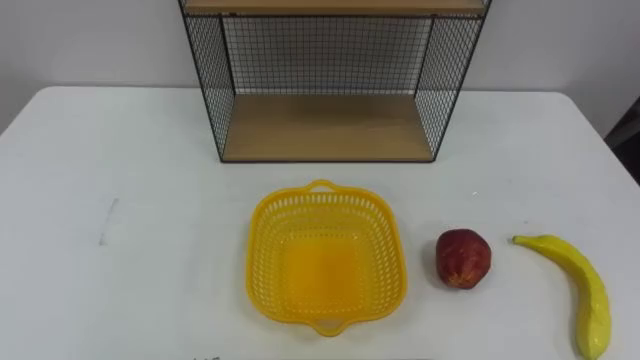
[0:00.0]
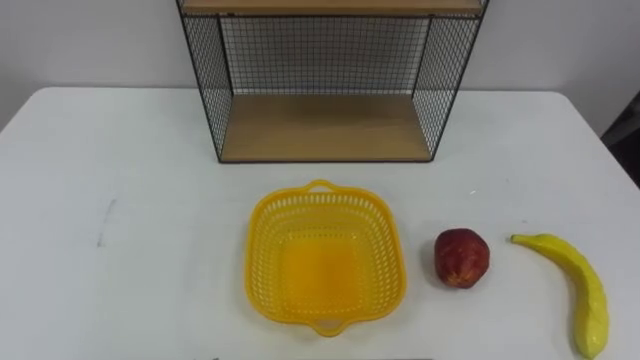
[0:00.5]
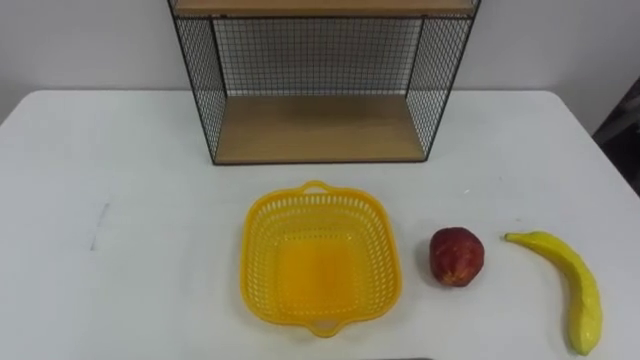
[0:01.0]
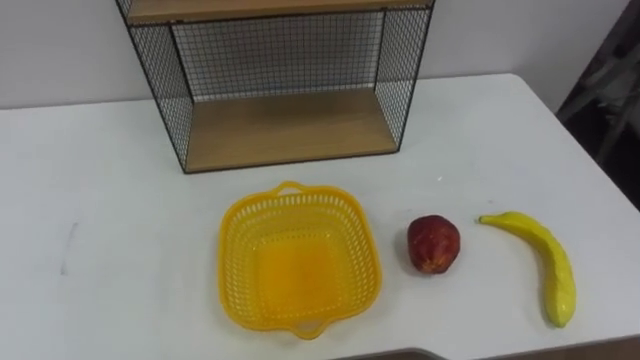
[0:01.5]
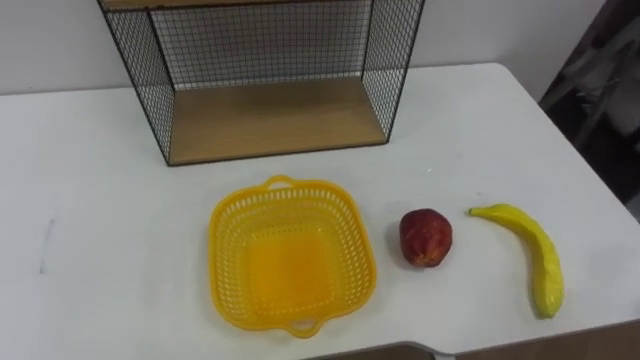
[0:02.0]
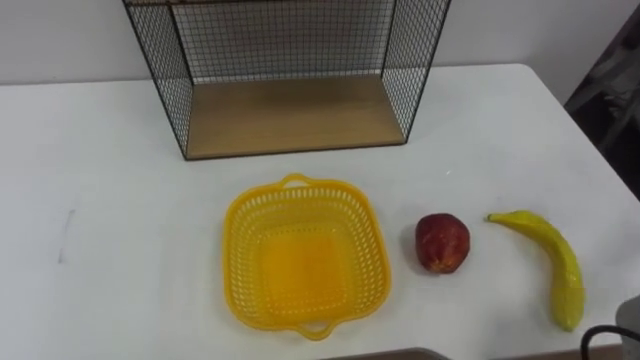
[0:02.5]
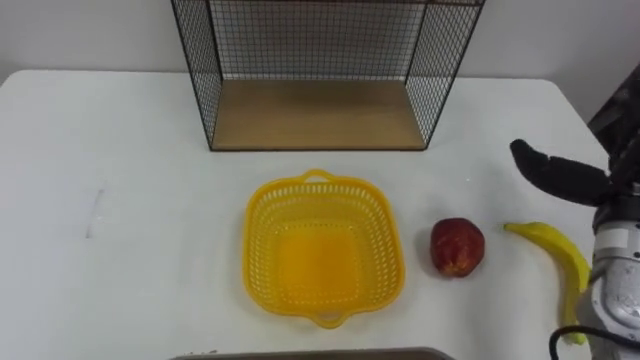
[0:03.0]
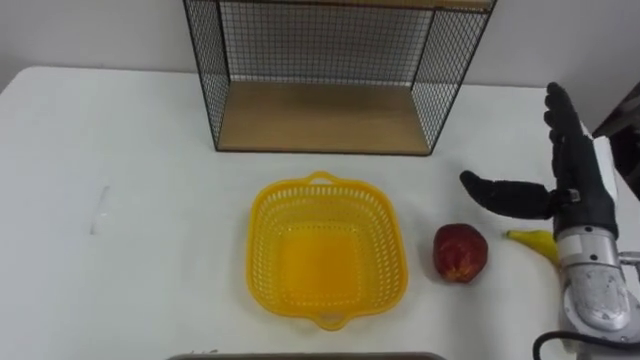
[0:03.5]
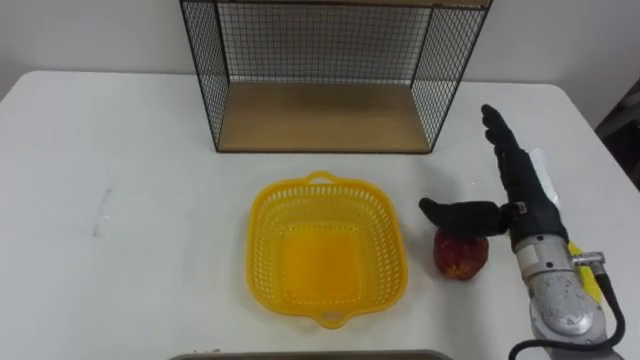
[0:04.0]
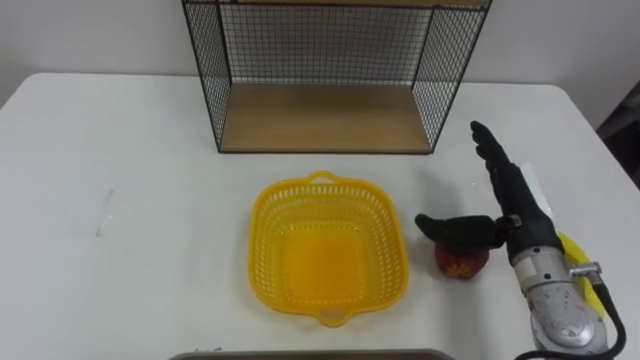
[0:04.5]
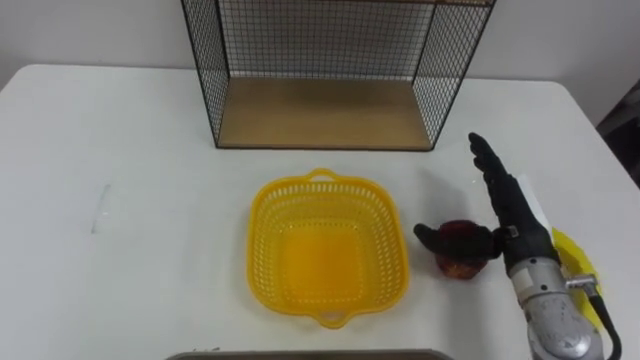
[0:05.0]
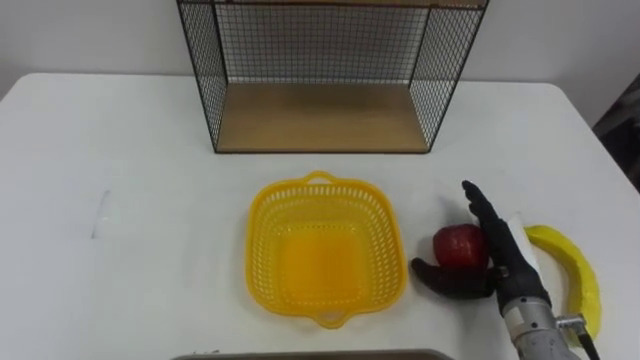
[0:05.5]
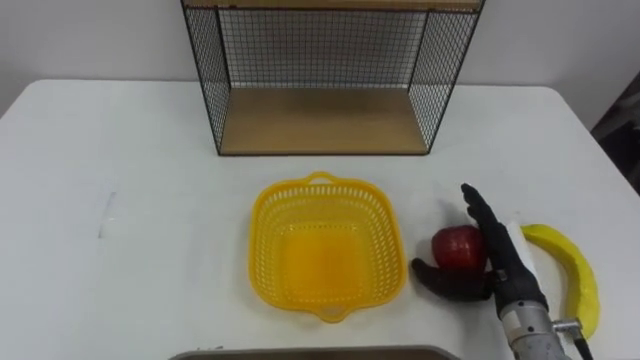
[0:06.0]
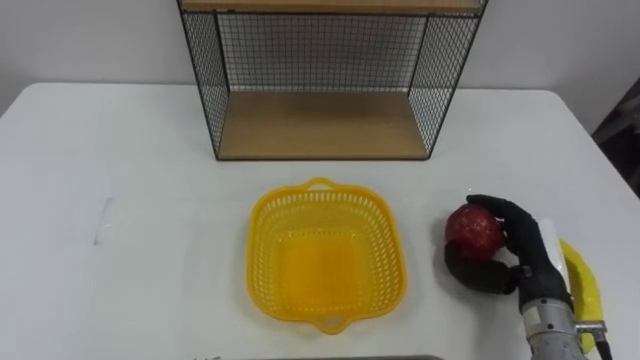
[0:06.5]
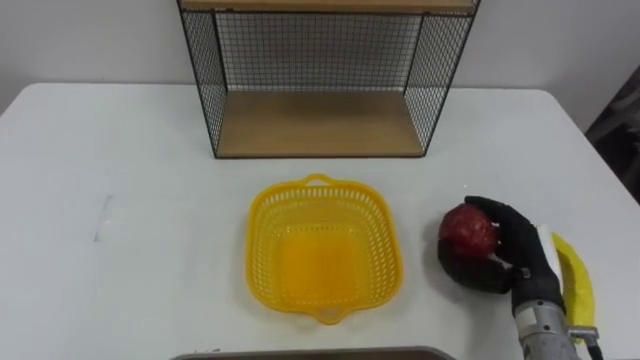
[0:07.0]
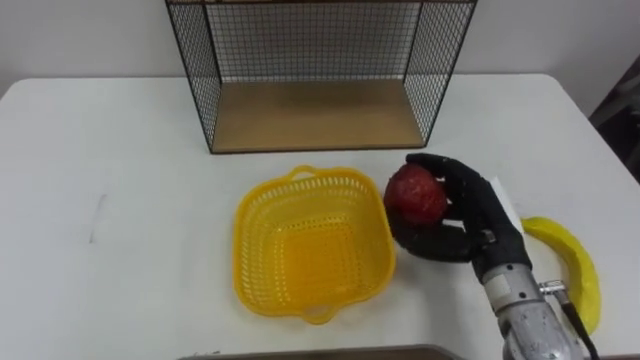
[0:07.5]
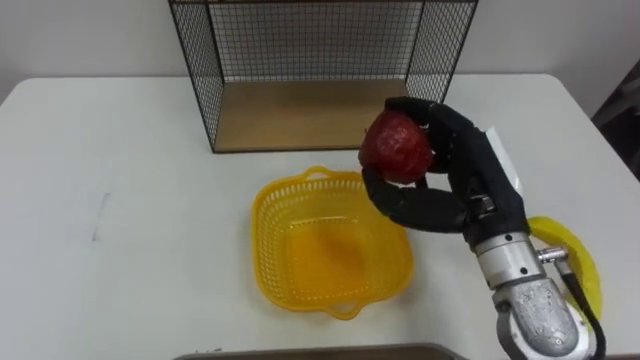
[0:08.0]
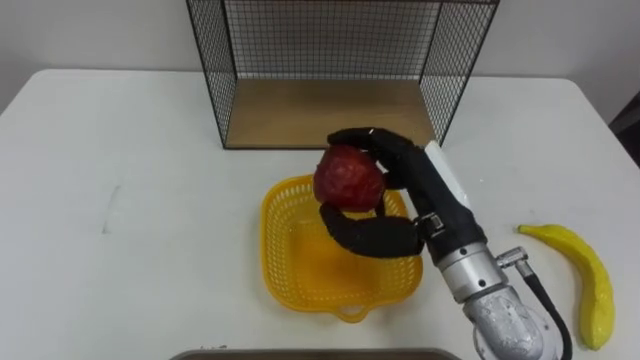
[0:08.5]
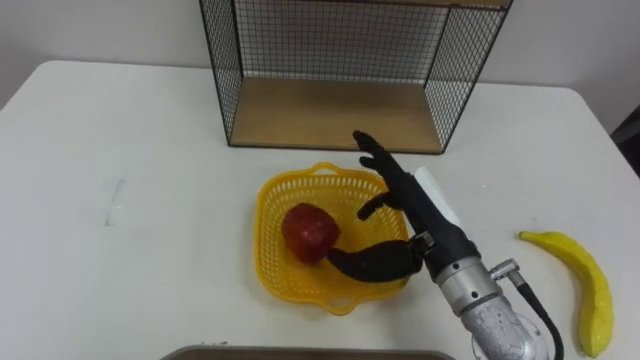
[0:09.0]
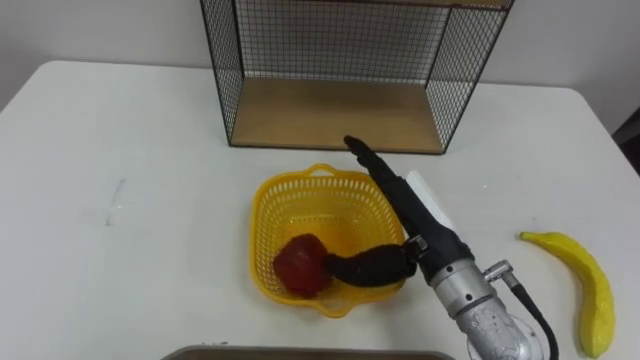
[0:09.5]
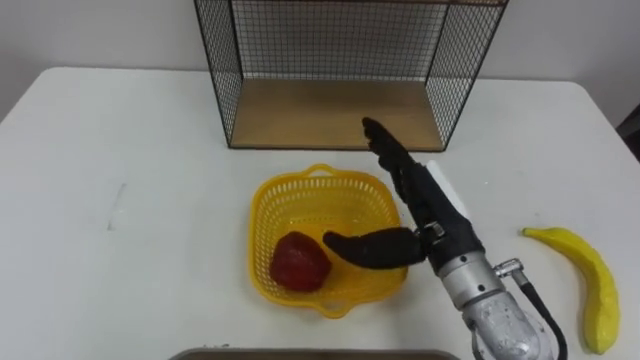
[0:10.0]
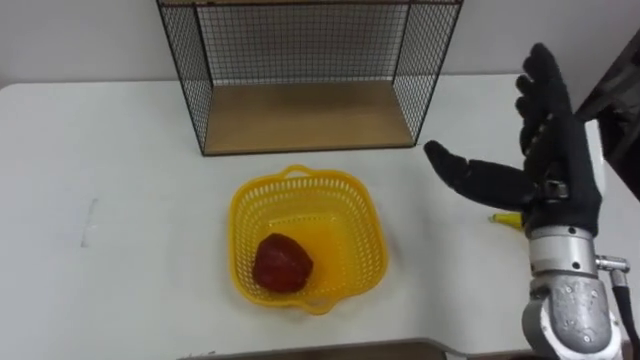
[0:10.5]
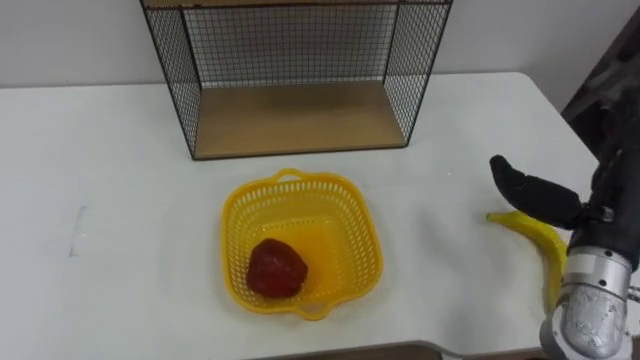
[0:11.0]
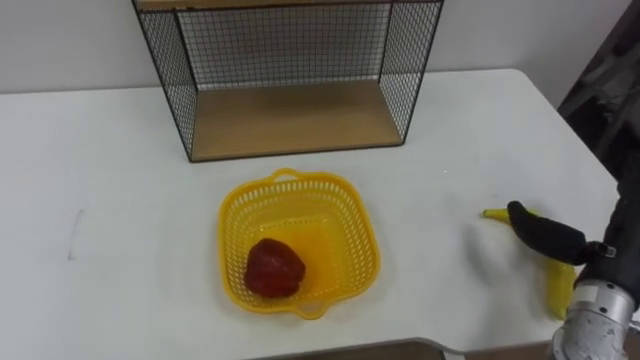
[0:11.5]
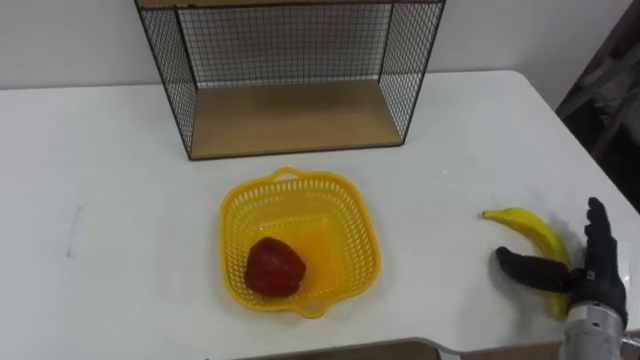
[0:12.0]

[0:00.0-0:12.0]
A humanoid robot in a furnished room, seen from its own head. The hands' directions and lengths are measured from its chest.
Task of the whole recording: Put the fruit on the table into the basket, then place the basket on the shelf.
0:04.0 to 0:06.0: The right hand goes approximately 10 cm downward and backward.
0:06.0 to 0:08.0: The right hand travels upward and to the left by about 15 cm, and closes up.
0:08.0 to 0:10.0: The right hand changes place by about 5 cm, and opens its fingers.
0:10.0 to 0:12.0: The right hand goes some 25 cm to the right and downward.

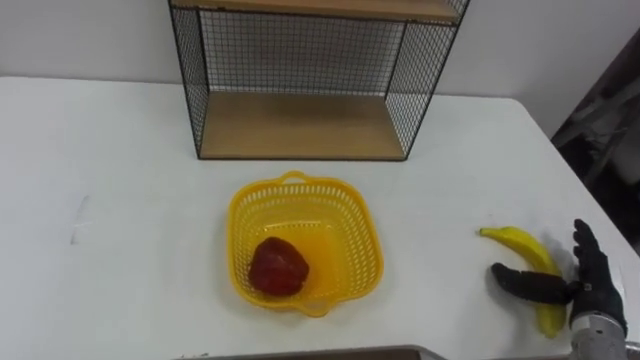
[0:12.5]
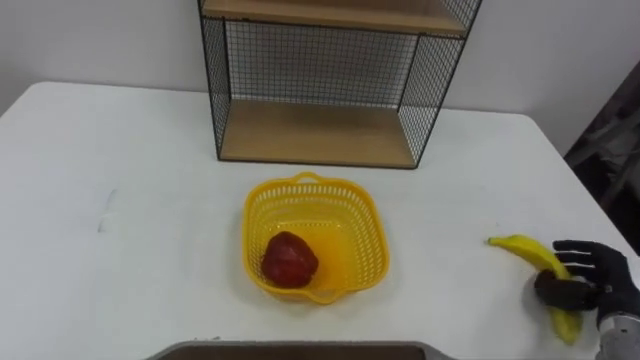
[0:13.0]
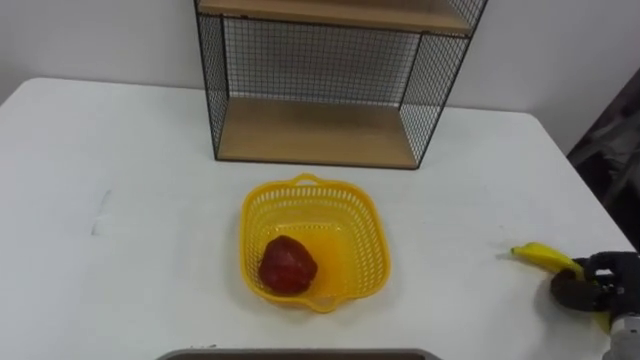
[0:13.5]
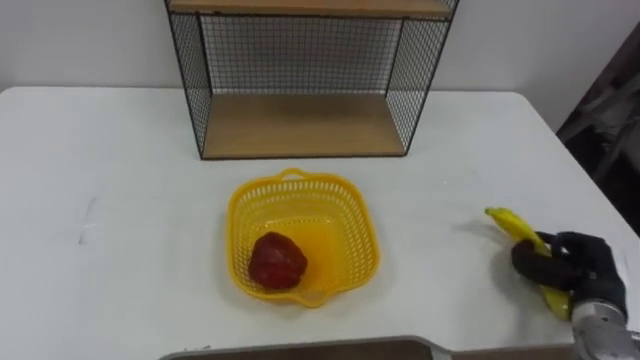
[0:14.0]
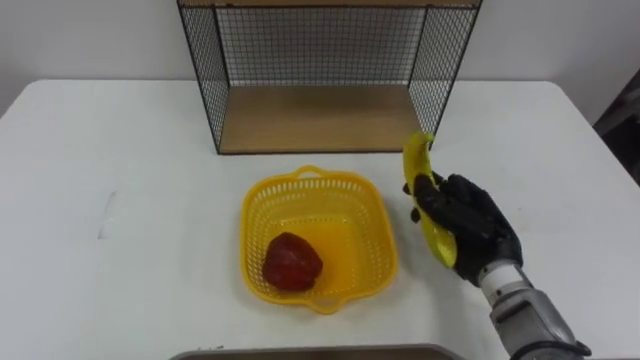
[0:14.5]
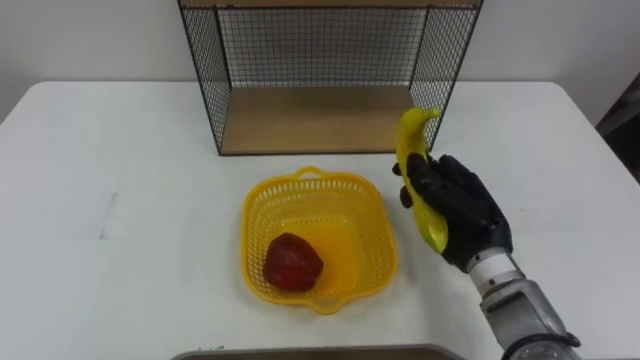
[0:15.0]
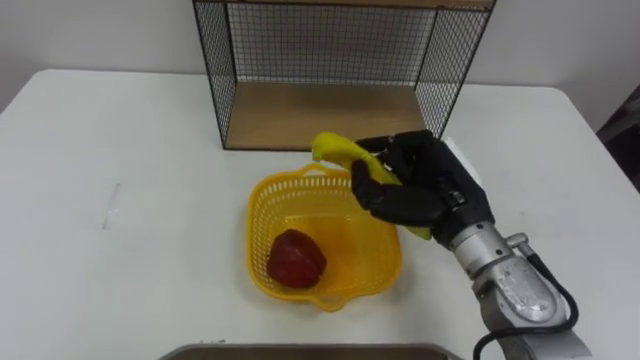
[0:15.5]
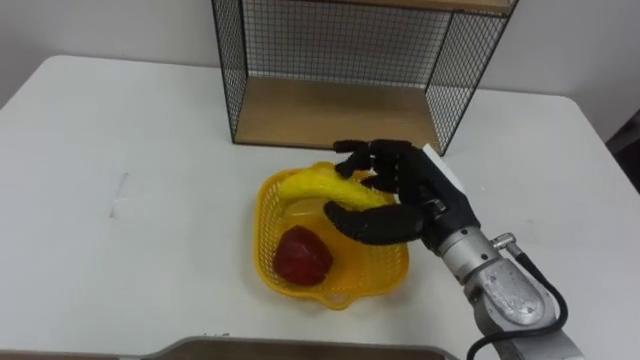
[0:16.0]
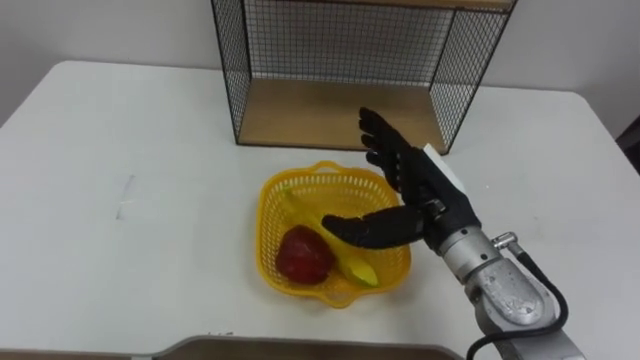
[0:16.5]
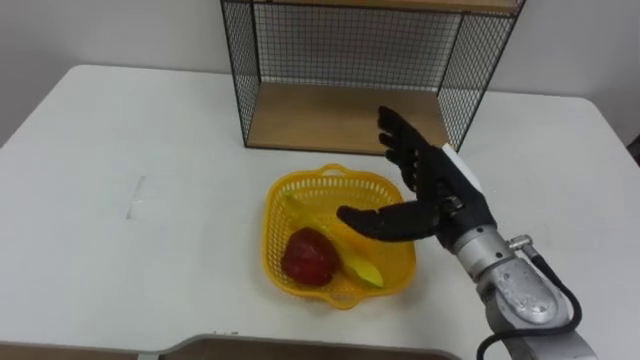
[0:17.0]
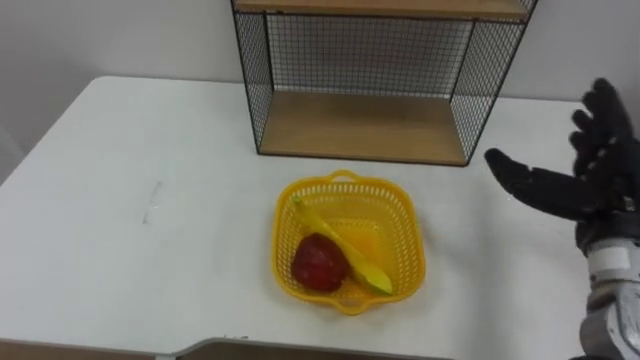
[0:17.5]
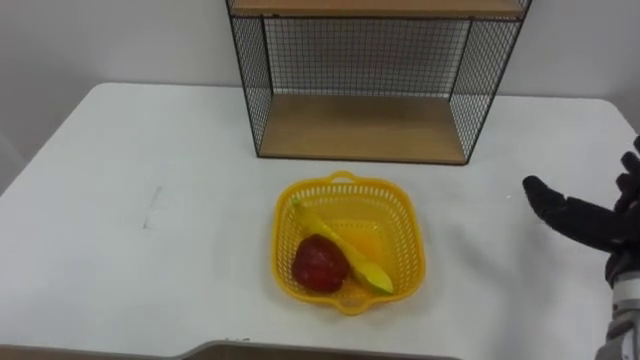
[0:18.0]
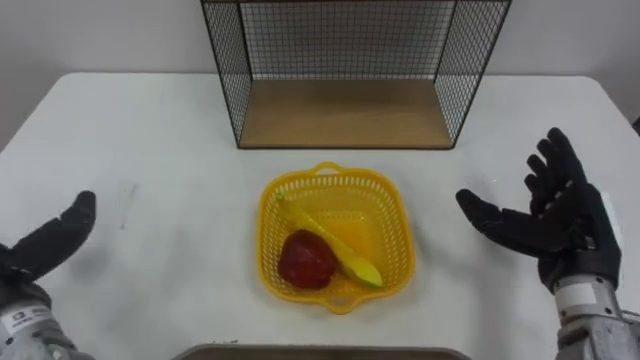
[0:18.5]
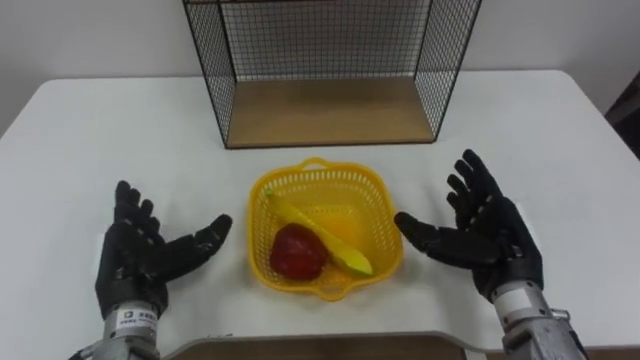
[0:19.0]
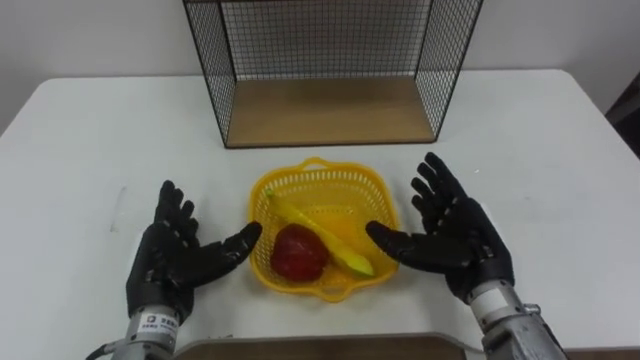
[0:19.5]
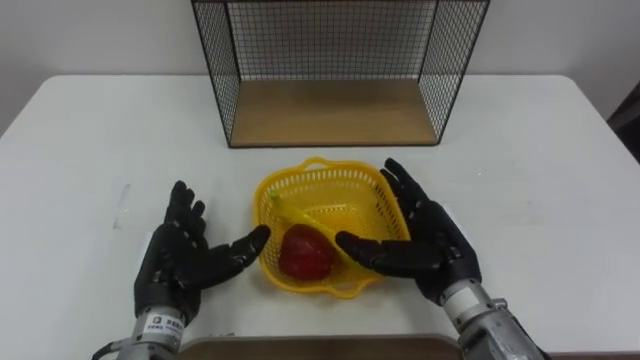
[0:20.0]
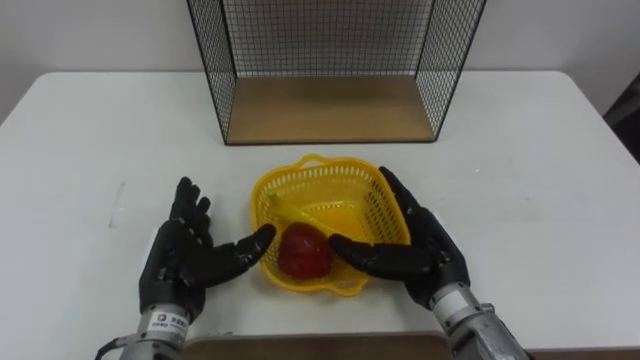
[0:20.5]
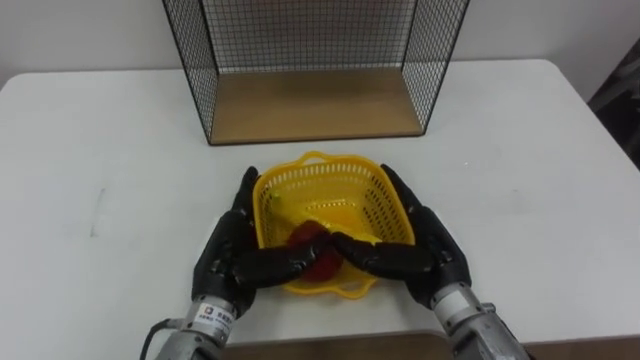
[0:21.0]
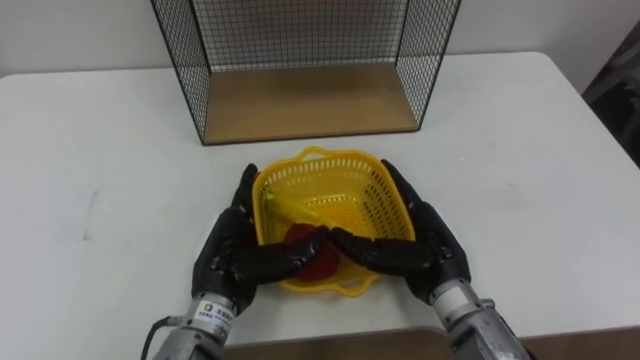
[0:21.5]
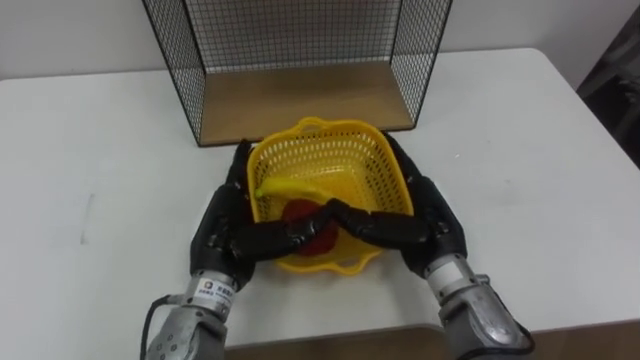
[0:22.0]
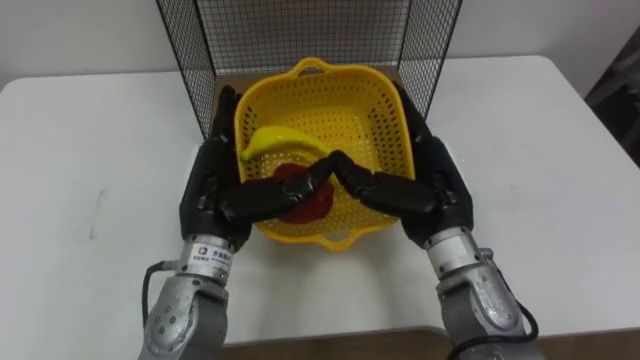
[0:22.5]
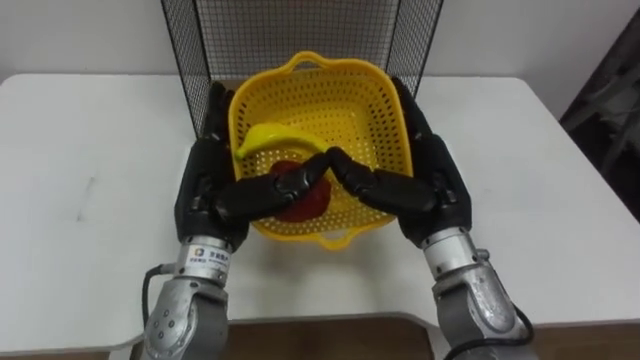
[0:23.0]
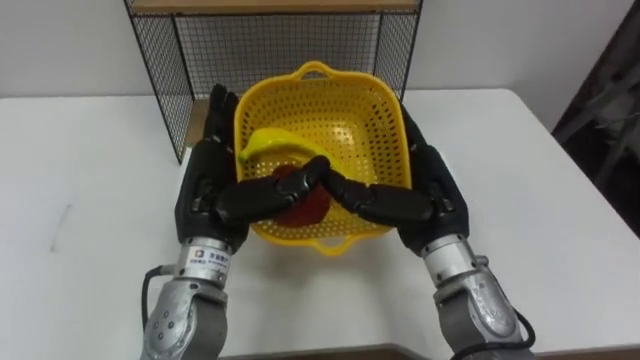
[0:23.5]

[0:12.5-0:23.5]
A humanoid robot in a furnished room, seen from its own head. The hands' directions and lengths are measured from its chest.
Task of the whole recording: Put the fruit on the table into the basket, then place the basket on the shelf.
0:12.5 to 0:14.5: The right hand moves to the left, upward and forward, about 15 cm, and closes.
0:14.5 to 0:16.0: The right hand moves upward and to the left, approximately 10 cm, and opens its fingers.
0:20.0 to 0:21.5: The left hand goes approximately 5 cm to the right.
0:21.5 to 0:23.5: Both hands move upward, some 10 cm.
